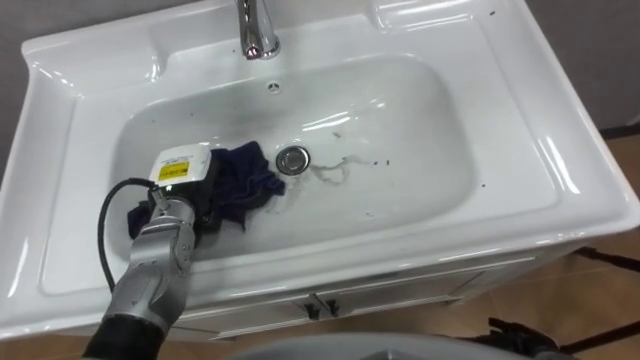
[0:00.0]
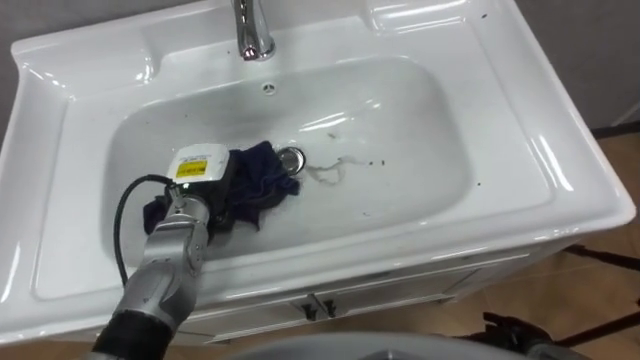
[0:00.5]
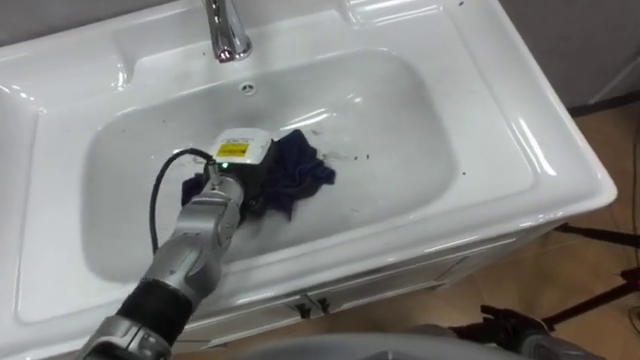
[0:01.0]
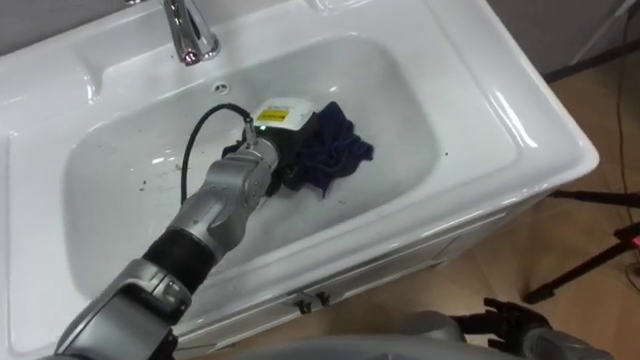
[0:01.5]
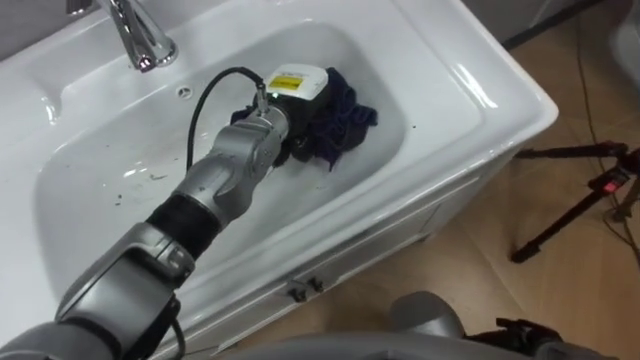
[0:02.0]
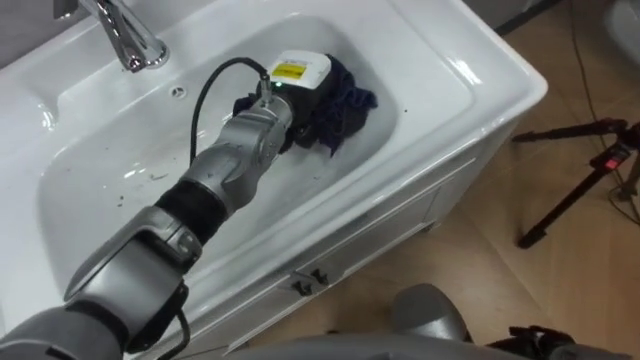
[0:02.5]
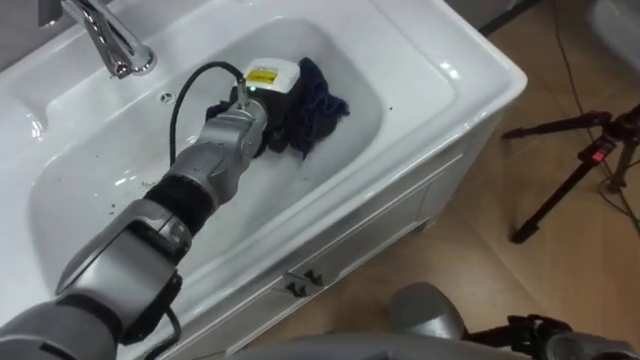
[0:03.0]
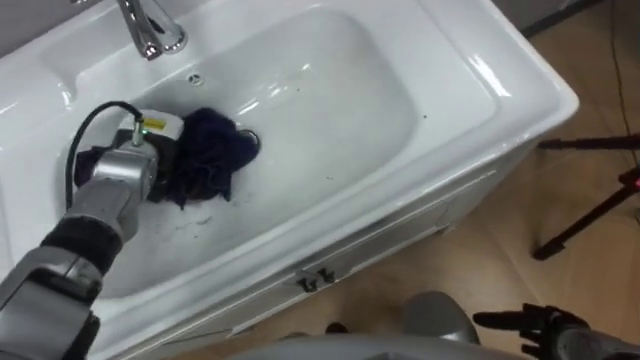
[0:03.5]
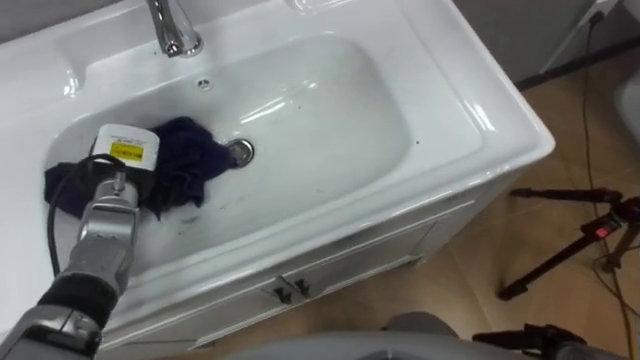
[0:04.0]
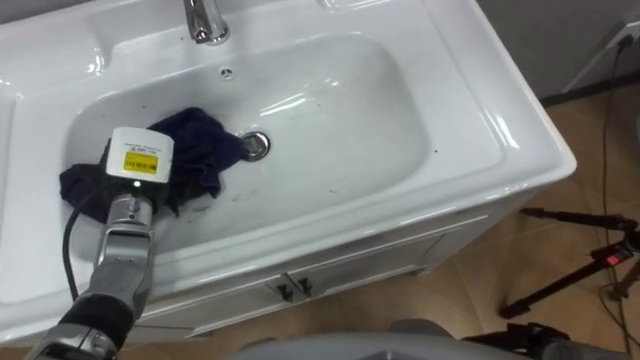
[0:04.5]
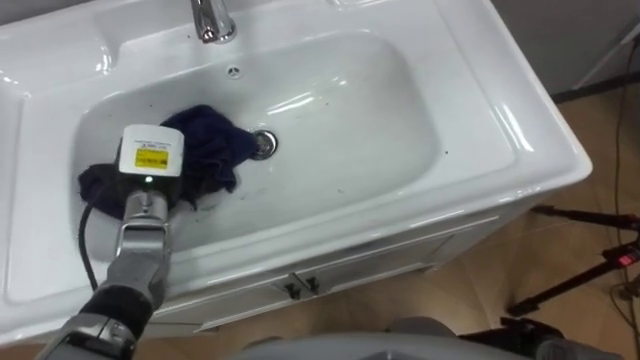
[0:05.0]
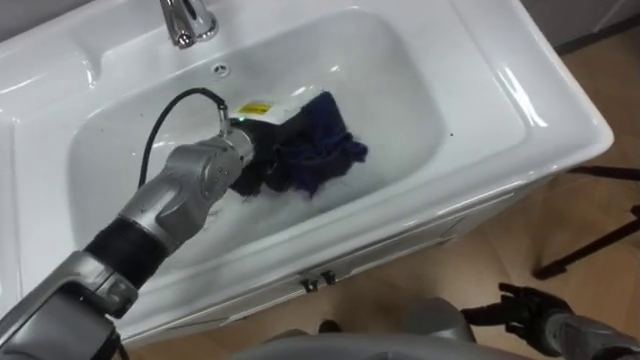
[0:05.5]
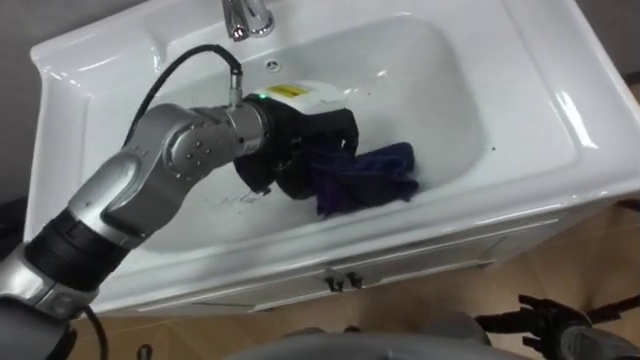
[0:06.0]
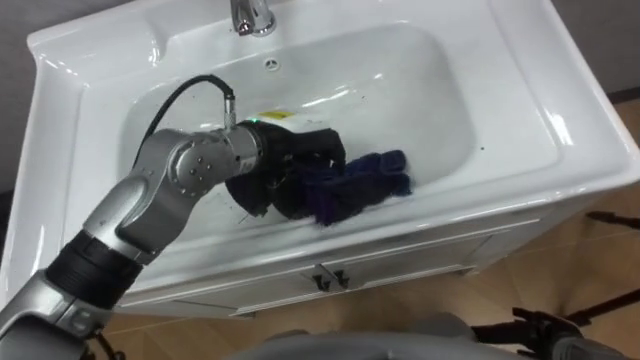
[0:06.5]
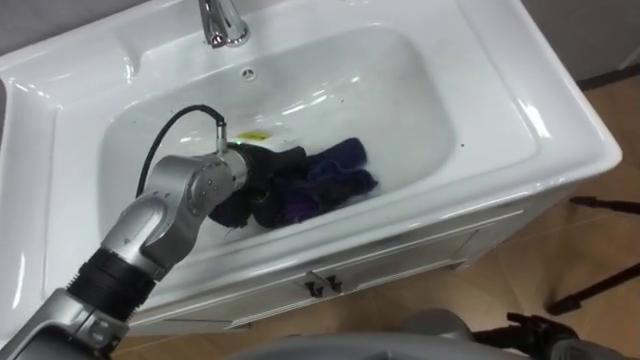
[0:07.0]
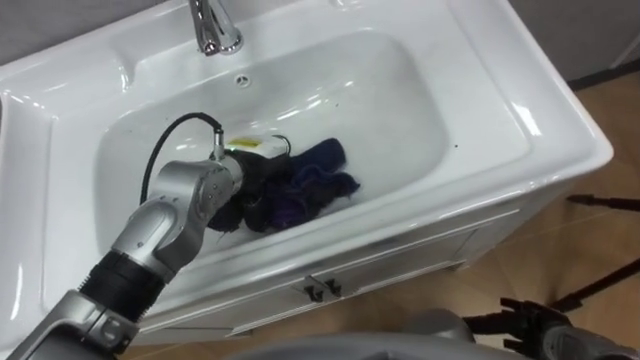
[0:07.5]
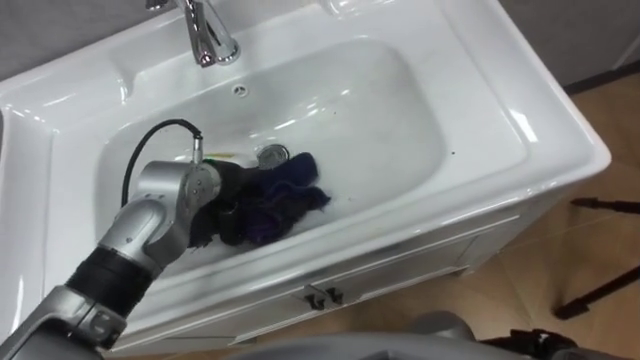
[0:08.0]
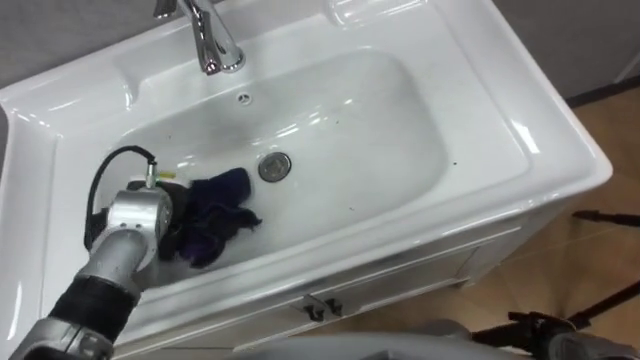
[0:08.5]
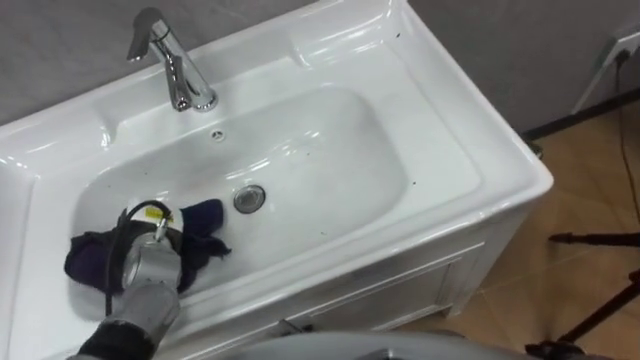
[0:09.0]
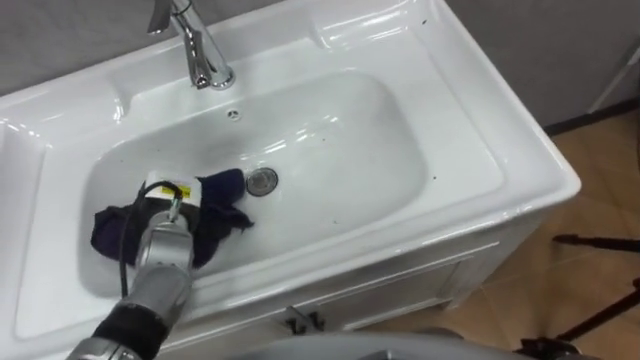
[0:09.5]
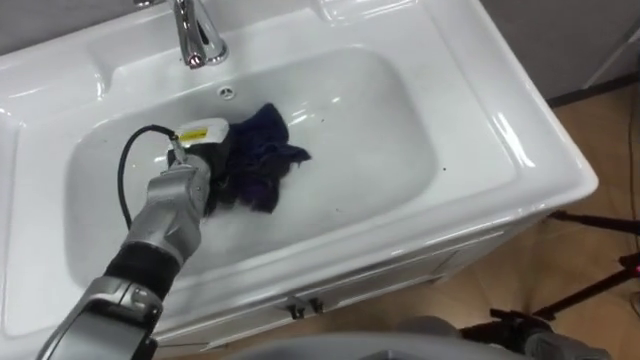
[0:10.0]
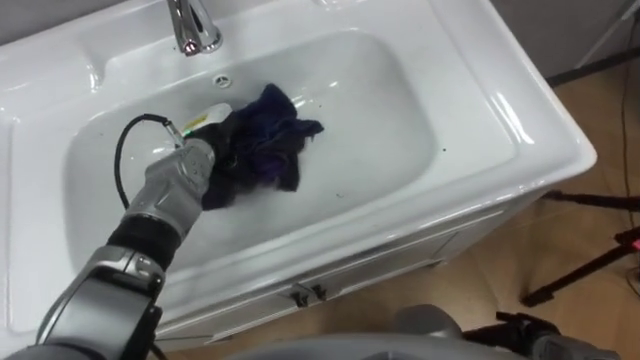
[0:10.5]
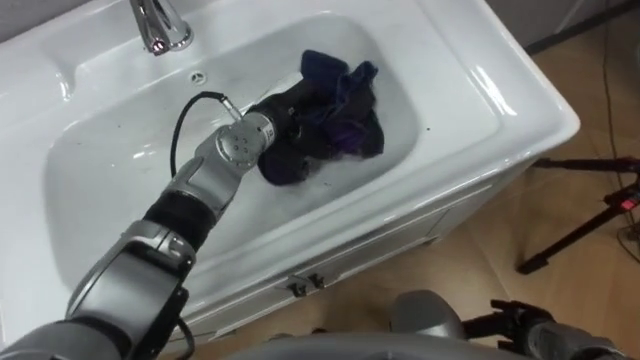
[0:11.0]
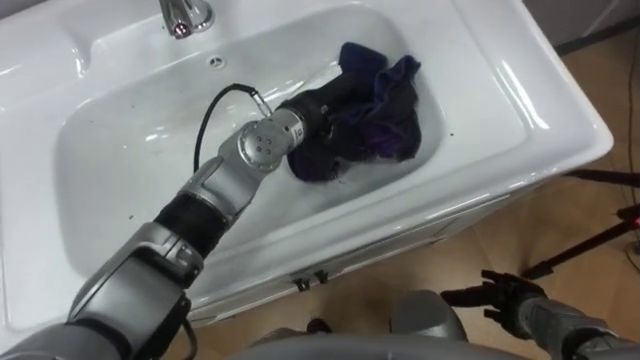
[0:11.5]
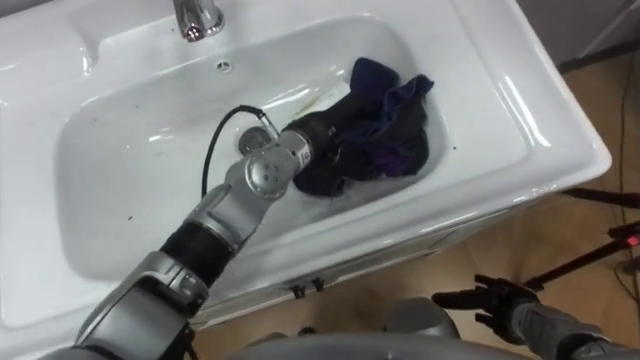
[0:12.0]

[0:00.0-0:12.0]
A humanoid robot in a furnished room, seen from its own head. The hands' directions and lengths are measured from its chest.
Task of the whole recording: Use the cloth on the right to wipe away the black stain in the sink.
0:00.0 to 0:02.0: The left hand goes some 20 cm to the right, forward and upward.
0:02.0 to 0:04.0: The left hand is displaced to the left by approximately 25 cm.
0:04.0 to 0:06.0: The left hand moves to the right and upward, some 30 cm.
0:06.0 to 0:08.0: The left hand goes approximately 15 cm downward and to the left.
0:08.0 to 0:10.0: The left hand reaches about 10 cm to the left, then returns.
0:10.0 to 0:12.0: The right hand changes place by some 5 cm; the left hand shifts approximately 15 cm to the right.

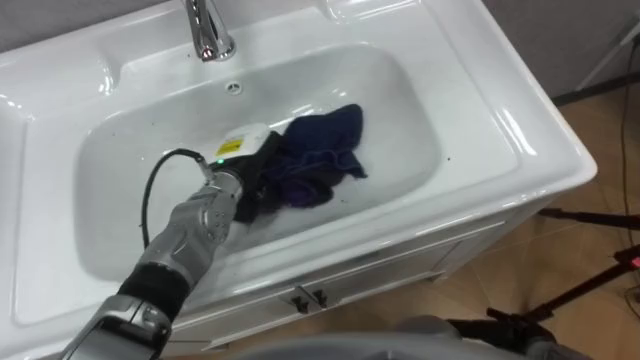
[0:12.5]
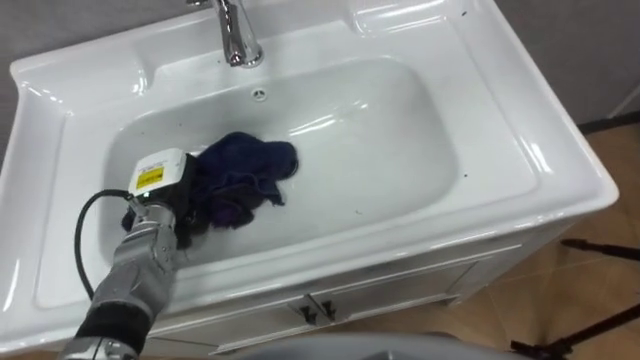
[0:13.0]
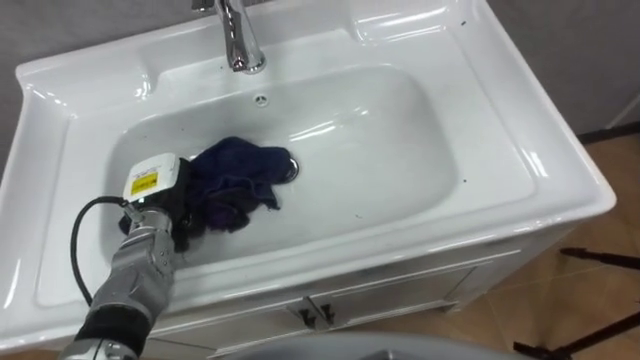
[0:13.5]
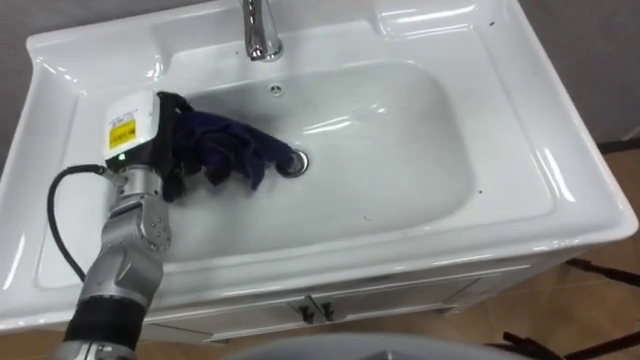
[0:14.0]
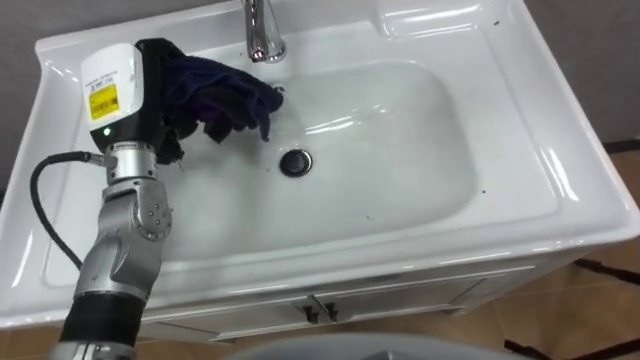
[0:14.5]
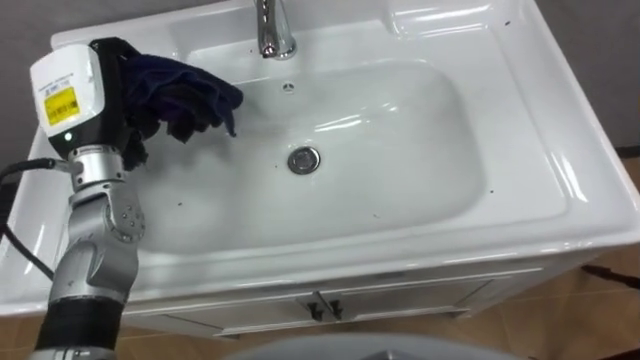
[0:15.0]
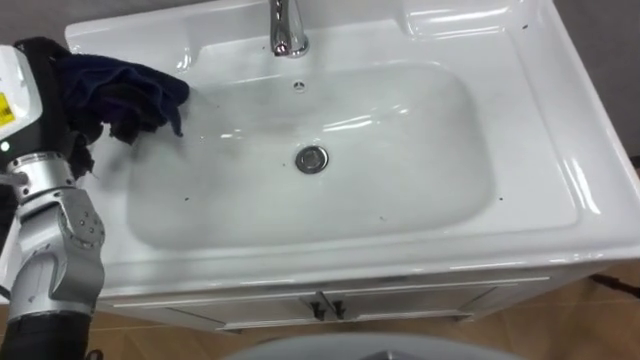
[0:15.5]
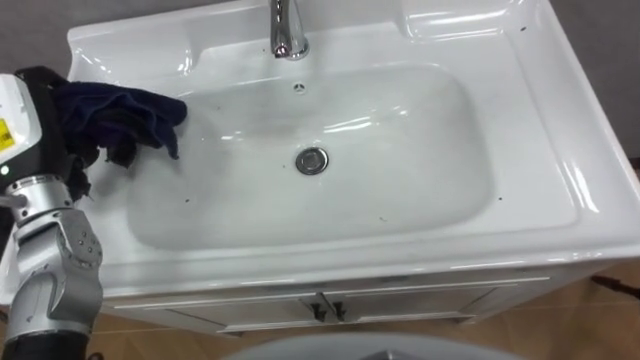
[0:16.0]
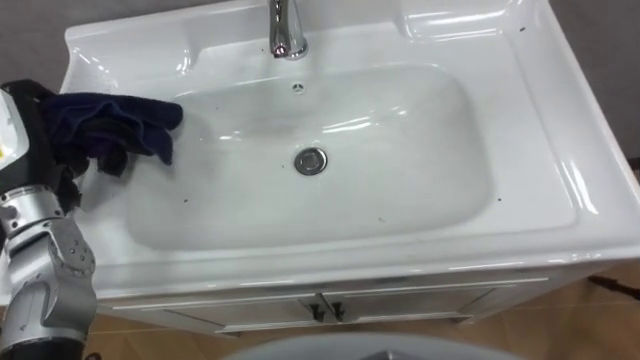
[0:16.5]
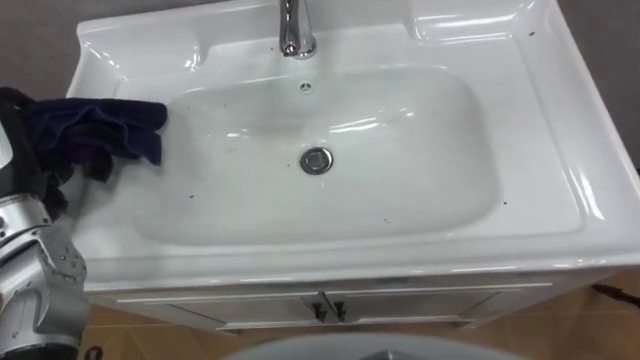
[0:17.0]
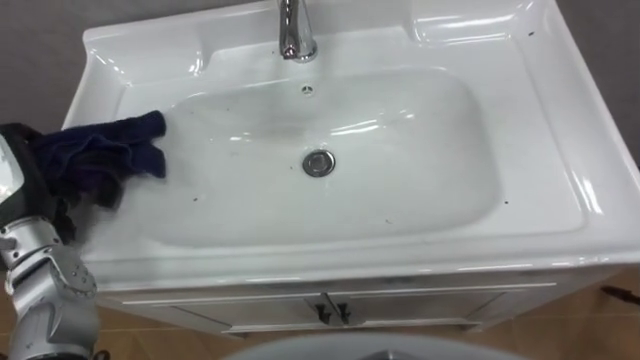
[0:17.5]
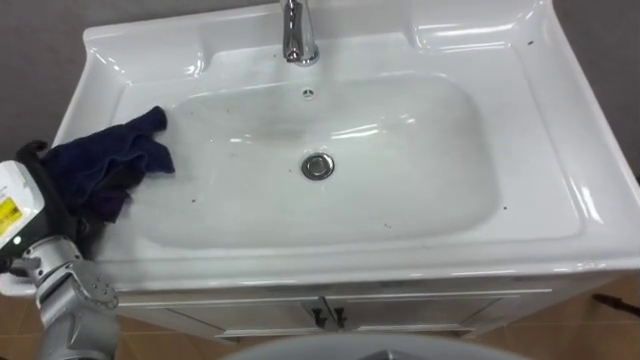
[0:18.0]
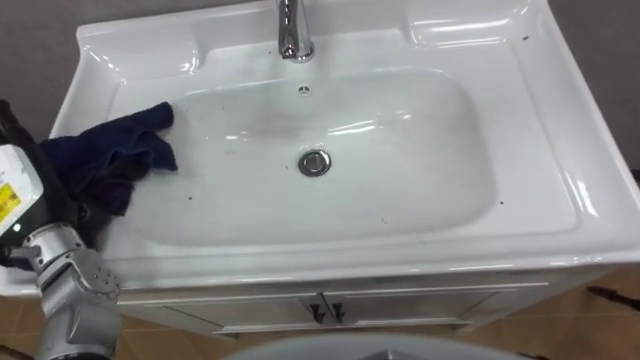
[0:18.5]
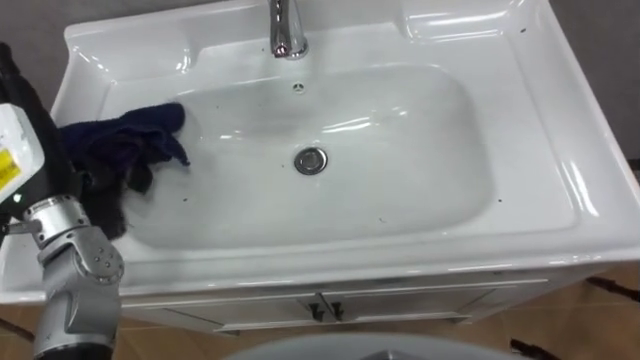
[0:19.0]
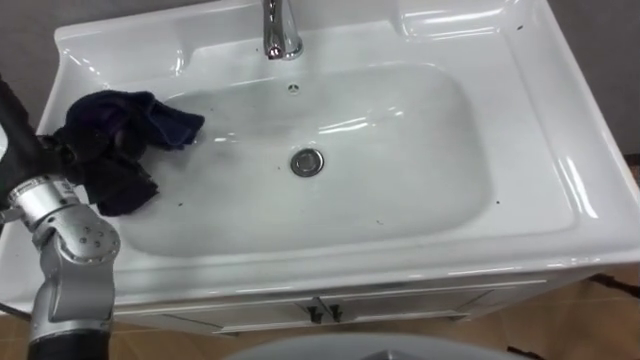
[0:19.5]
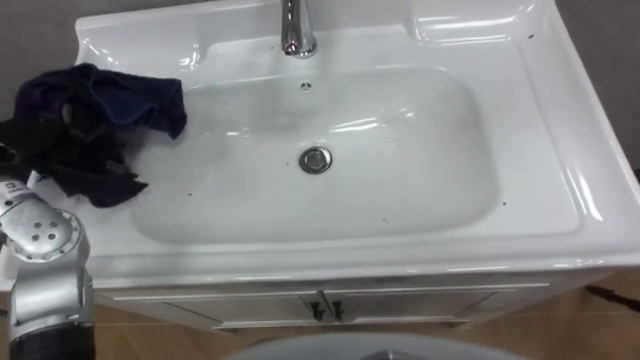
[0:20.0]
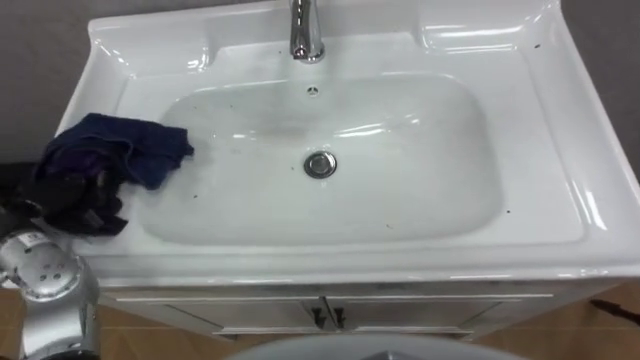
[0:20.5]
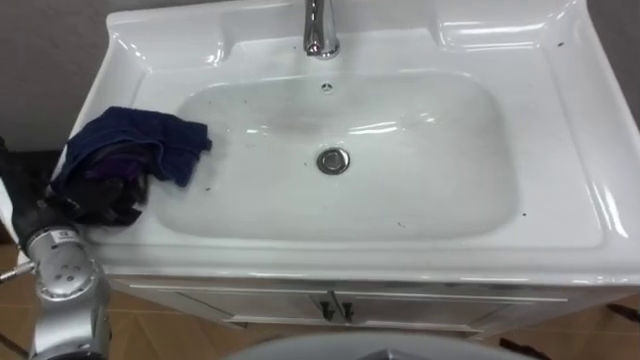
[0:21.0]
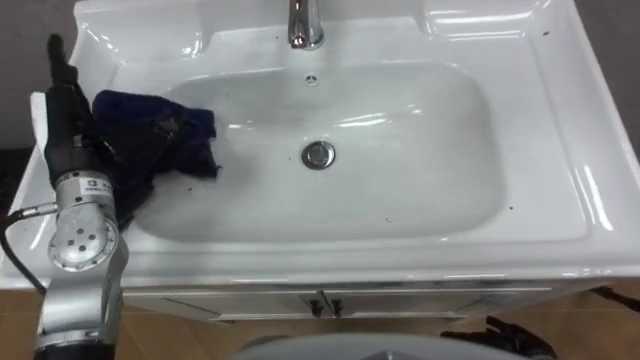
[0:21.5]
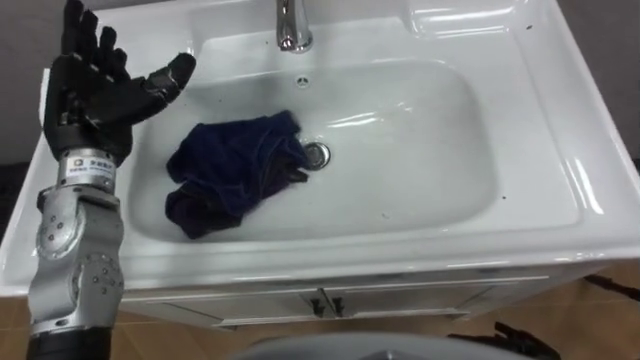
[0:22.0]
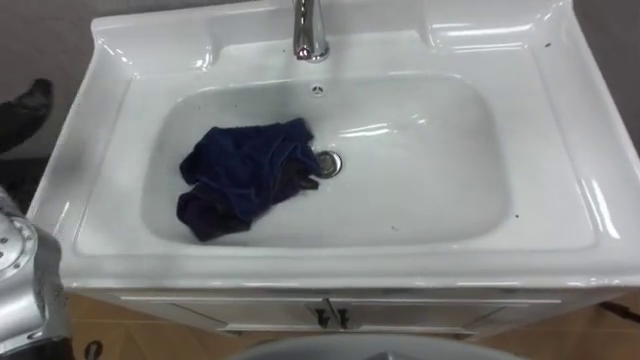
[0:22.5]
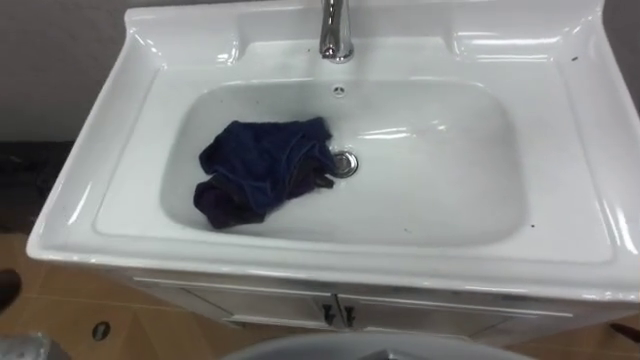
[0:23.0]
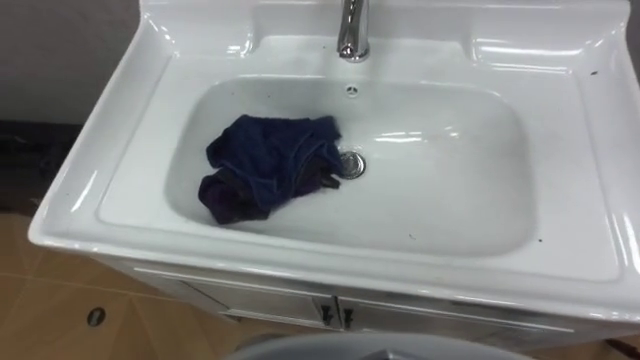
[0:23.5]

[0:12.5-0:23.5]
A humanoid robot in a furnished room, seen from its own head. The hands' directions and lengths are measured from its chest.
Task of the whole recording: Use the cloth on the right to wipe away the black stain in the sink.
0:12.5 to 0:14.5: The left hand shifts roughly 20 cm upward and to the left.
0:14.5 to 0:16.0: The left hand moves to the left and backward, roughly 10 cm.
